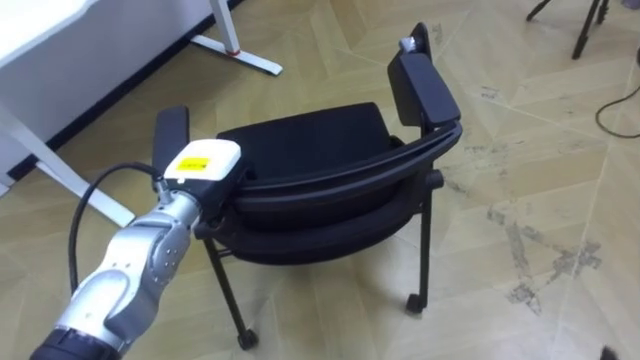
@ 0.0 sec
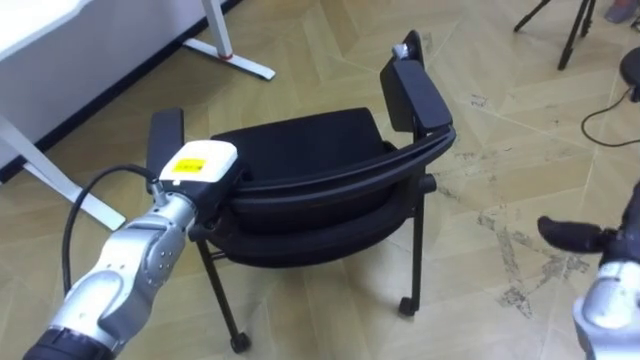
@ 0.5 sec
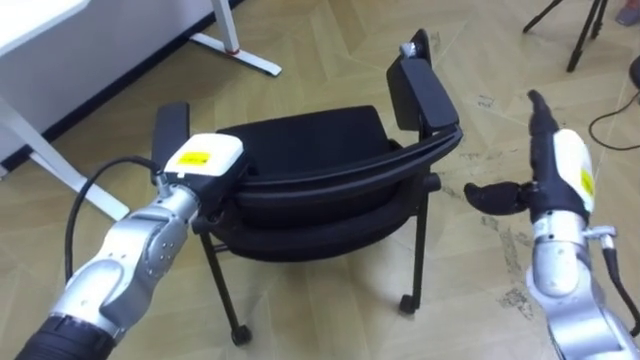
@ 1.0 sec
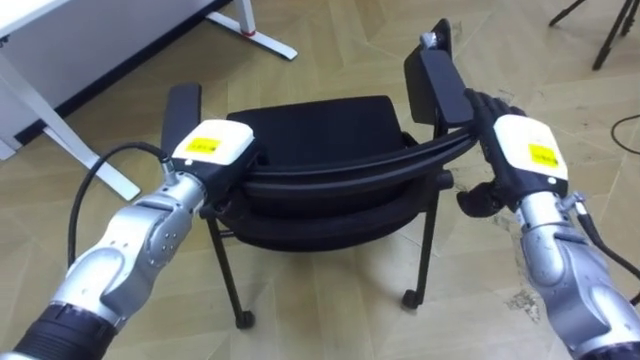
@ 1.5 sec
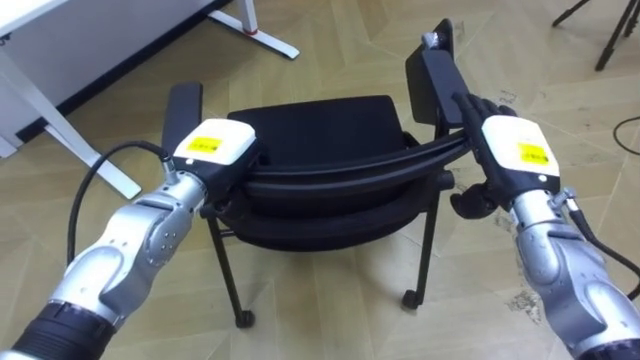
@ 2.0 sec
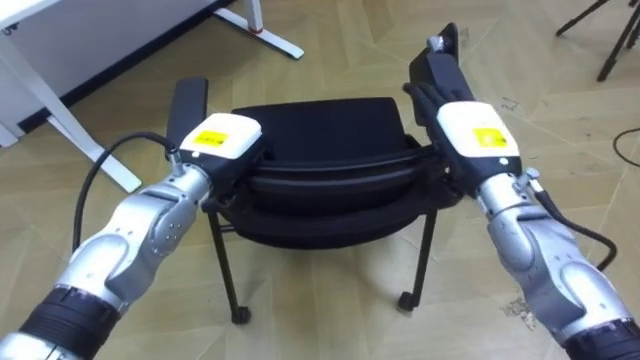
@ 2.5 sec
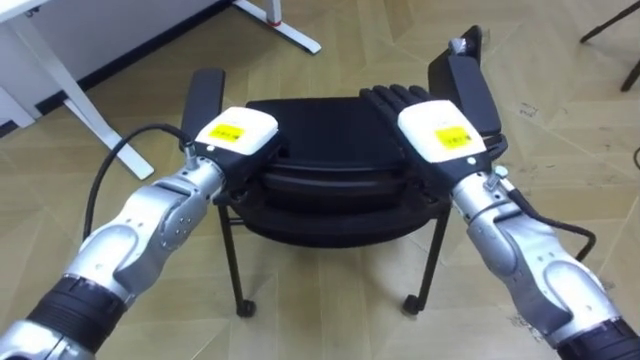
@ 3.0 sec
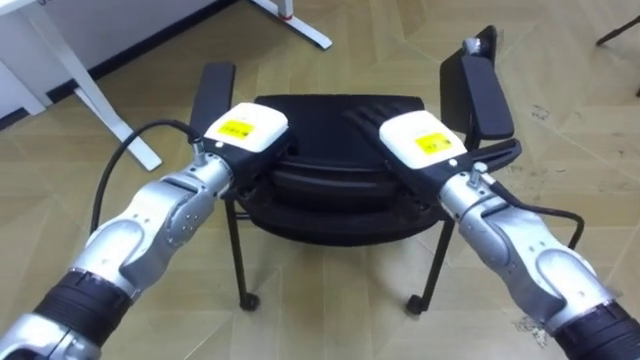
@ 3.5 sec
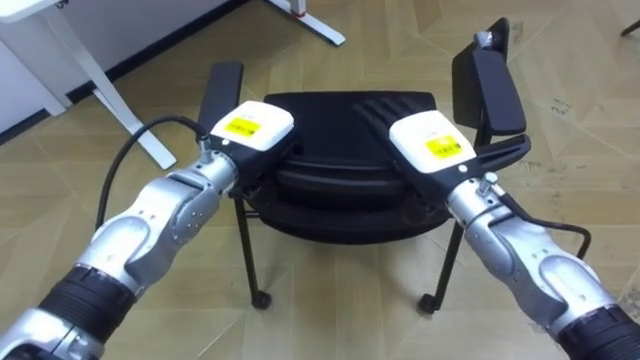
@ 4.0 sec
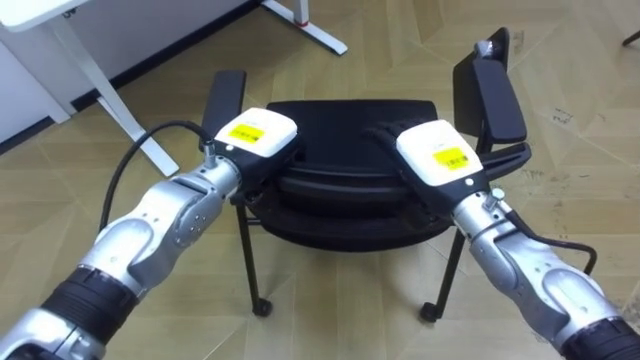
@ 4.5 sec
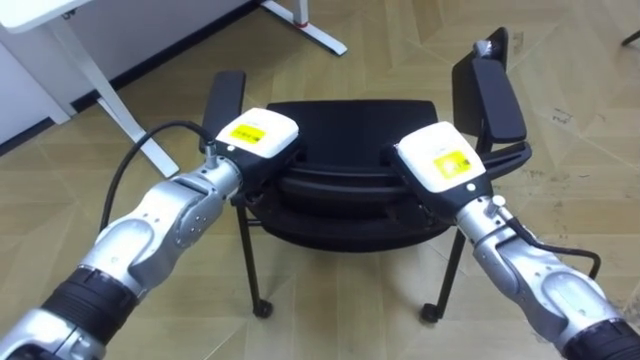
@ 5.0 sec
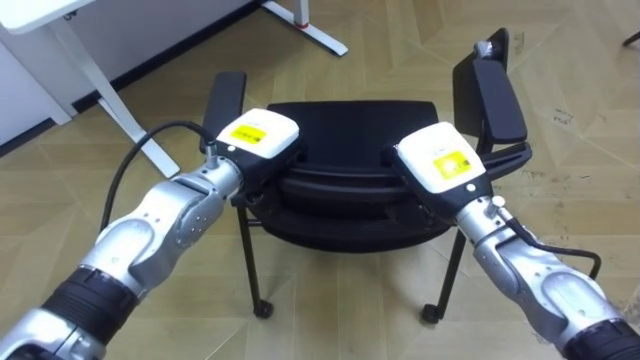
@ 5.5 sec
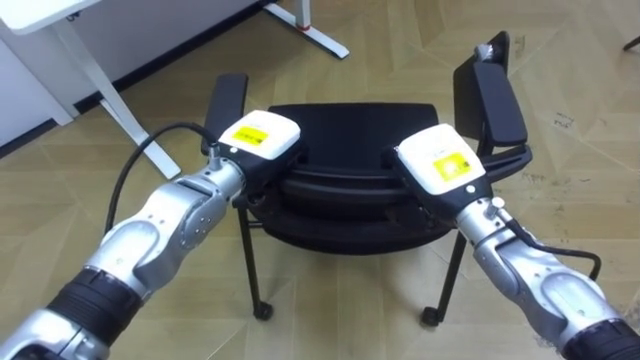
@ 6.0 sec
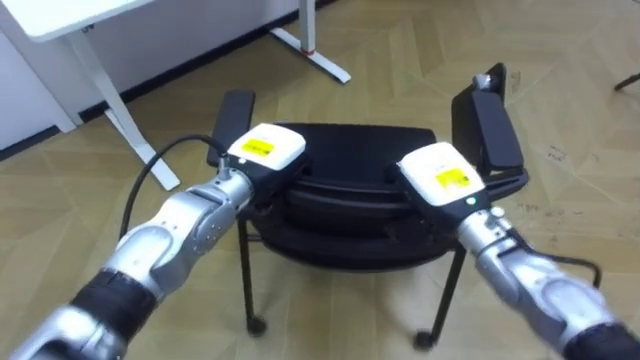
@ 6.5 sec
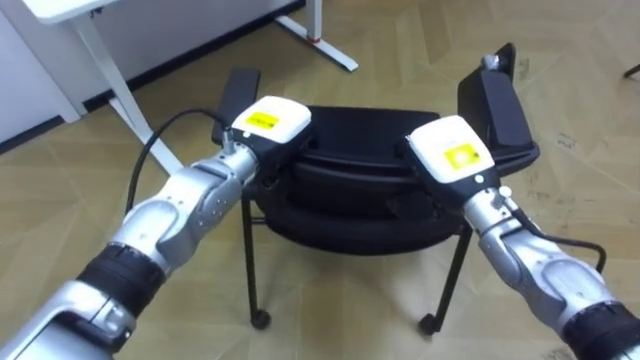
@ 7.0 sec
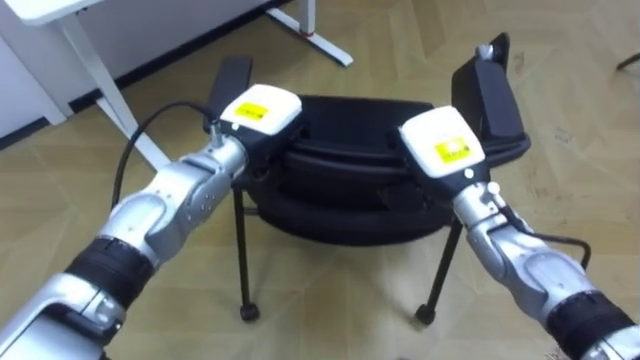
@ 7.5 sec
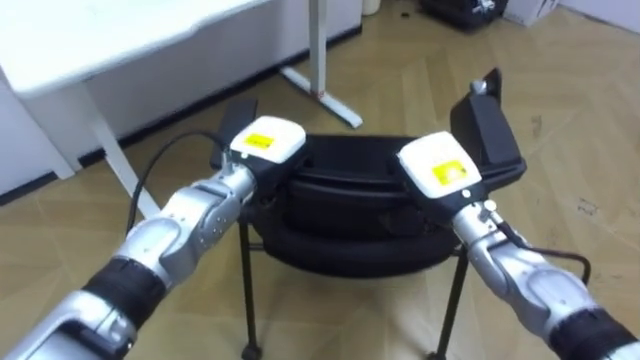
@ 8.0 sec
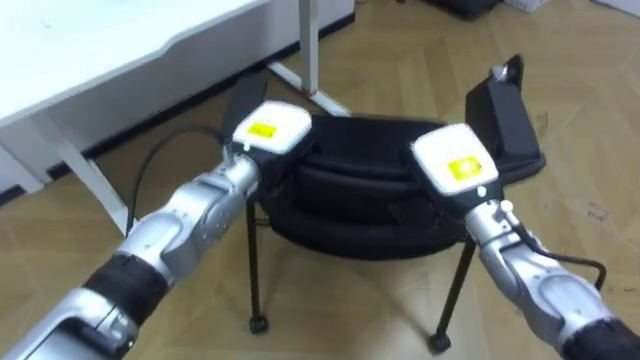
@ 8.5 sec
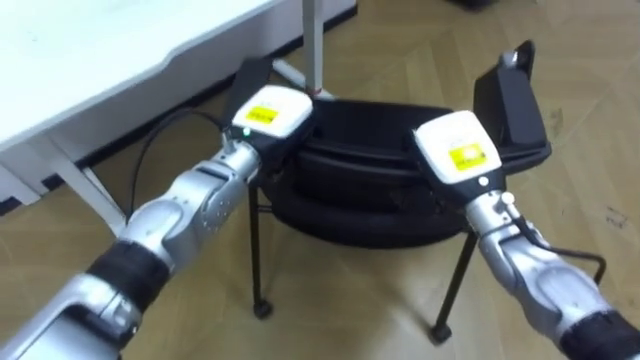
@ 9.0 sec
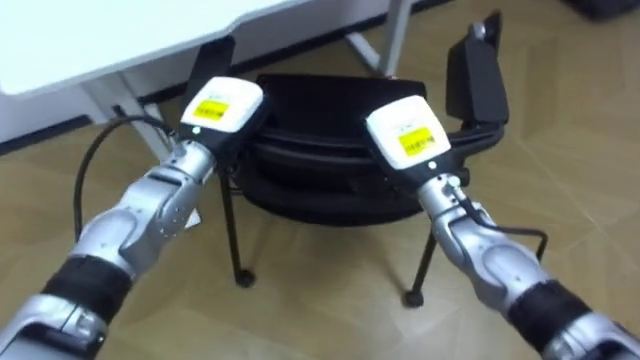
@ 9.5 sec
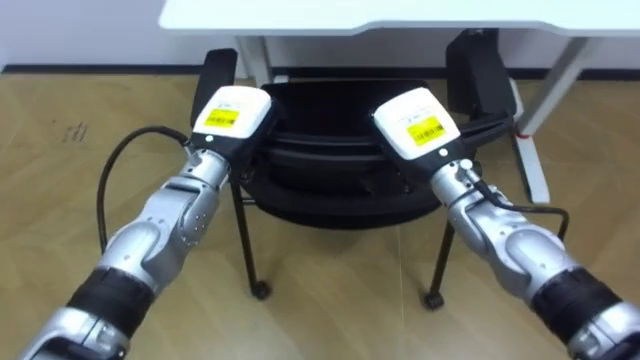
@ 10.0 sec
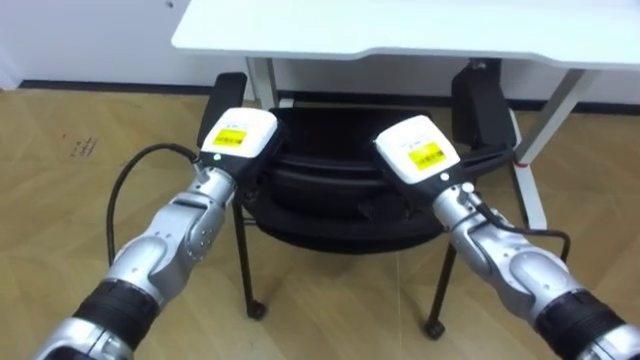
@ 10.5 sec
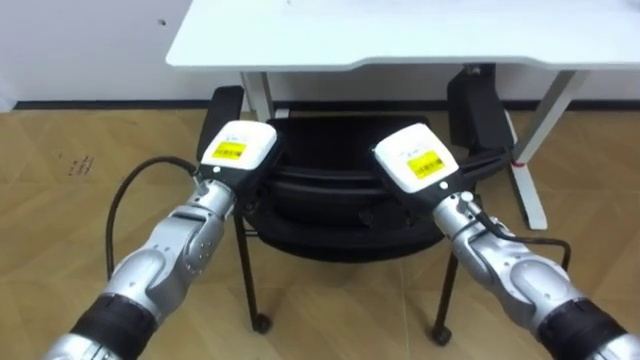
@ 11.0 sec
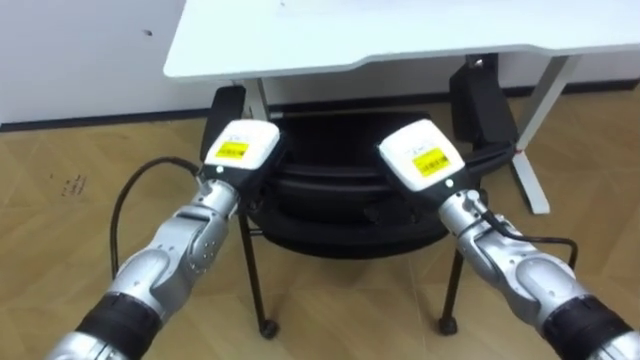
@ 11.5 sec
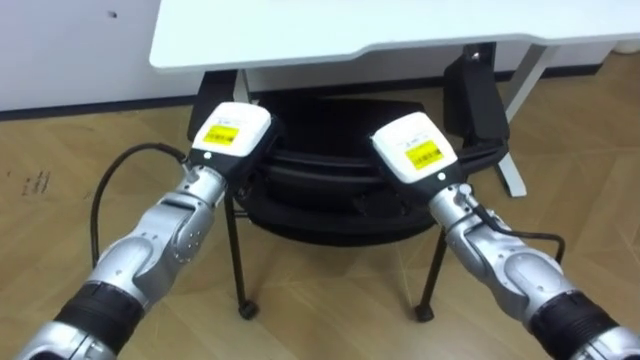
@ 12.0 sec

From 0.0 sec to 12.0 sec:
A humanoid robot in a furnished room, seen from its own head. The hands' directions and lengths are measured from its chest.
Task of the whole recording: Push the chair under the table.
From 2.0 sec to 4.0 sec: The left hand changes place by some 5 cm. The right hand heads to the left, covering some 10 cm.
From 4.0 sec to 6.0 sec: The right hand closes.
From 8.0 sec to 10.0 sec: The robot rotates some 35 degrees to its left. The left hand shifts by about 5 cm; the right hand changes place by about 5 cm.

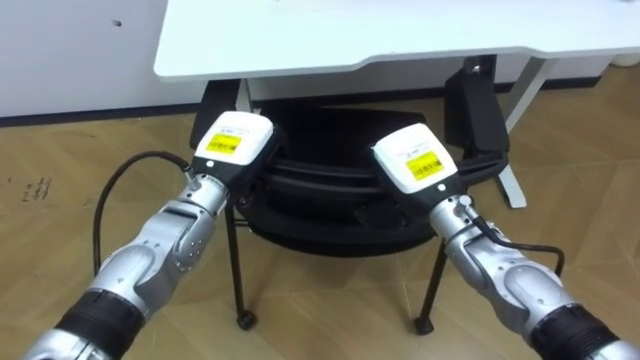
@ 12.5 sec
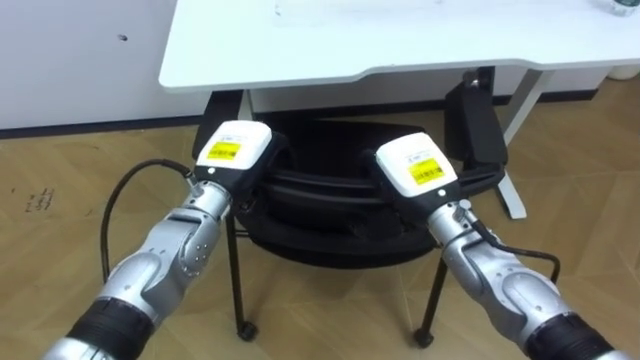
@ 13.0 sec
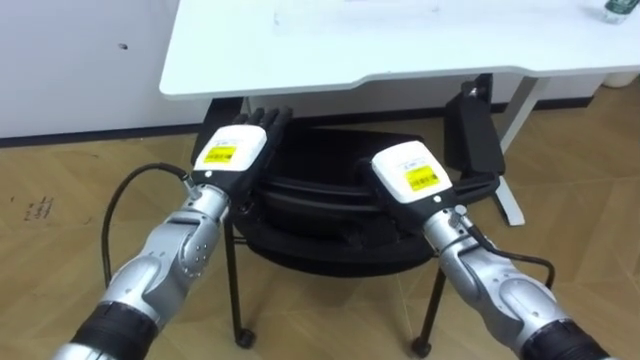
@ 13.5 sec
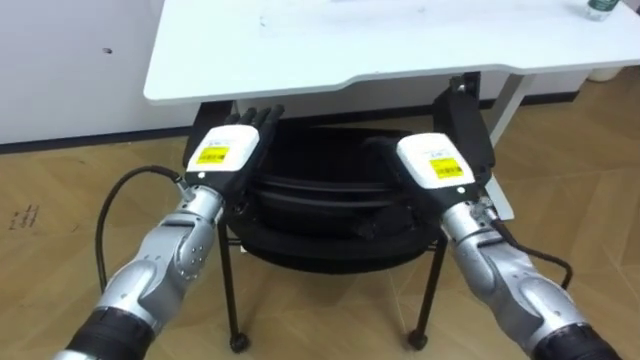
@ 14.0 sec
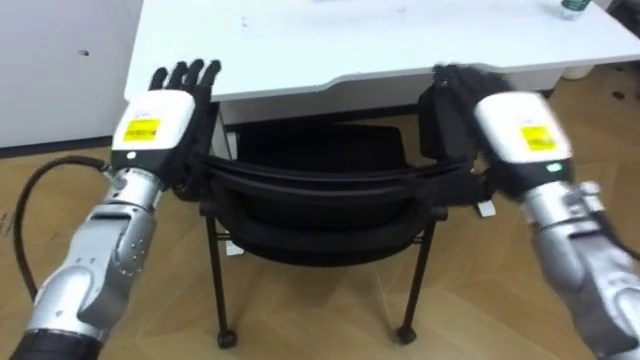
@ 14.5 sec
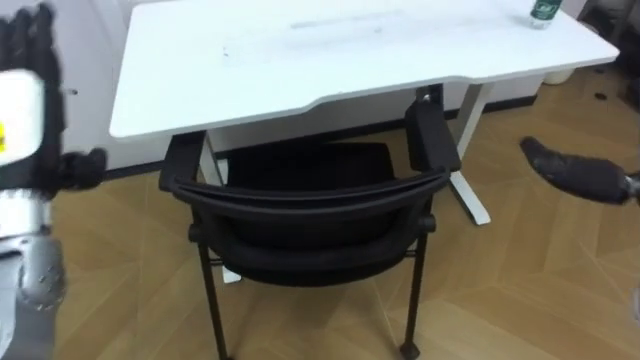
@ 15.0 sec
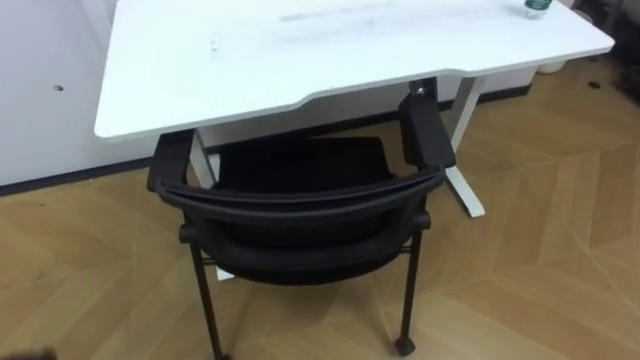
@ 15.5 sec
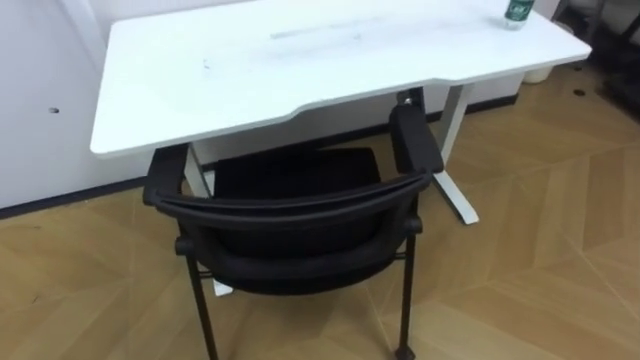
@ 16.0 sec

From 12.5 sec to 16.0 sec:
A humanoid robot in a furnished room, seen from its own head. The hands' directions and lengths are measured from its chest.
Task of the whole recording: Push the chair under the table.
From 12.5 sec to 14.5 sec: The left hand heads to the left, covering some 10 cm, and opens; the right hand travels to the right and upward by some 10 cm, and opens.
